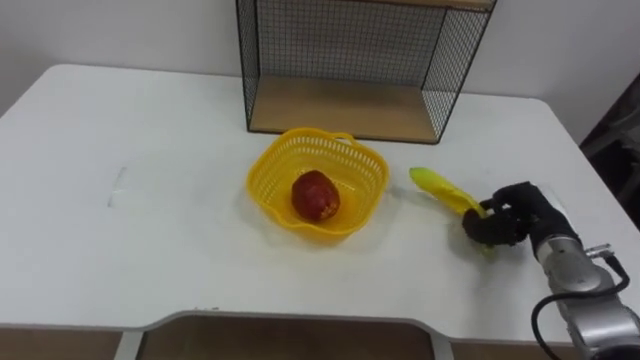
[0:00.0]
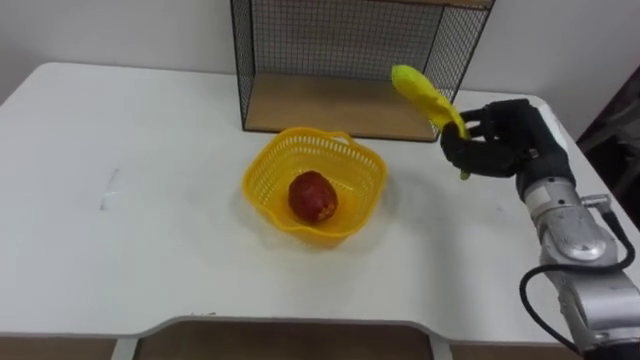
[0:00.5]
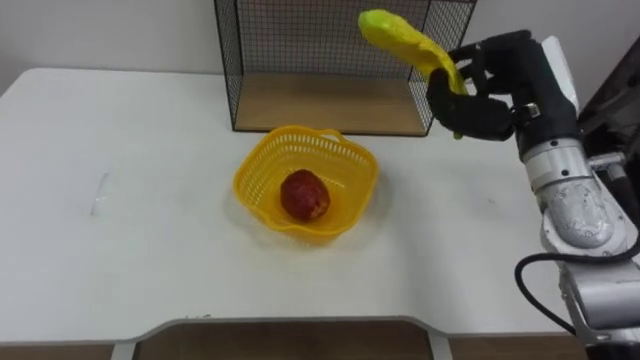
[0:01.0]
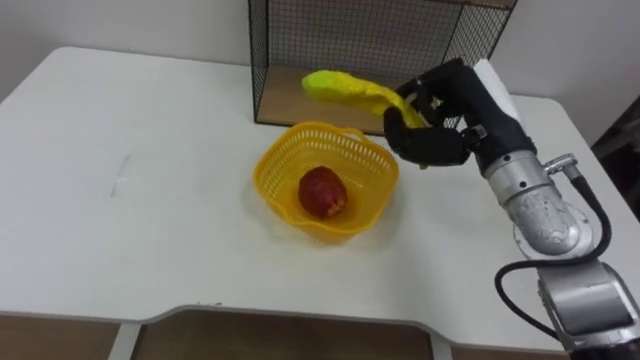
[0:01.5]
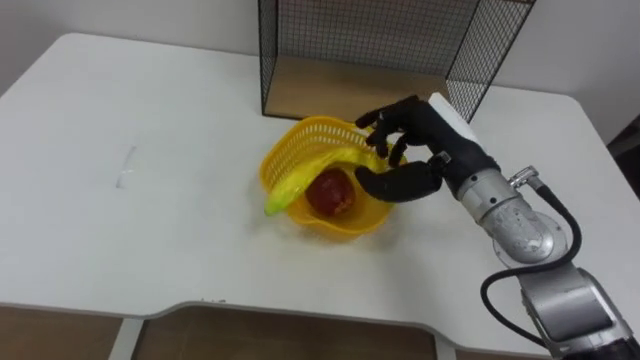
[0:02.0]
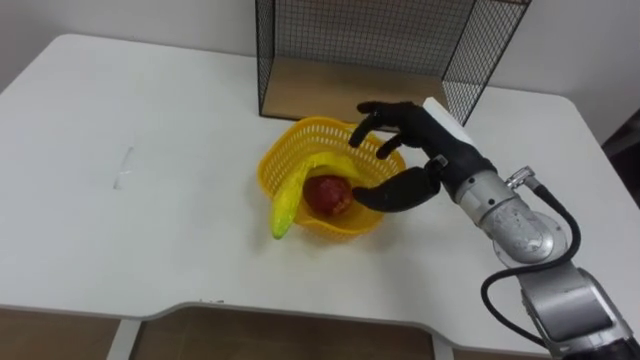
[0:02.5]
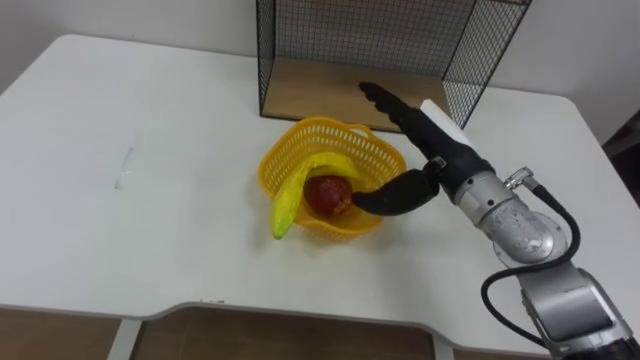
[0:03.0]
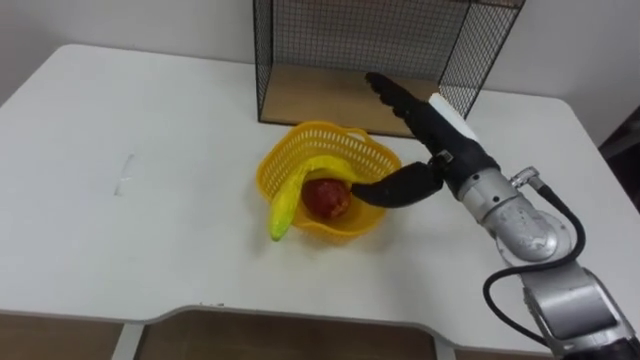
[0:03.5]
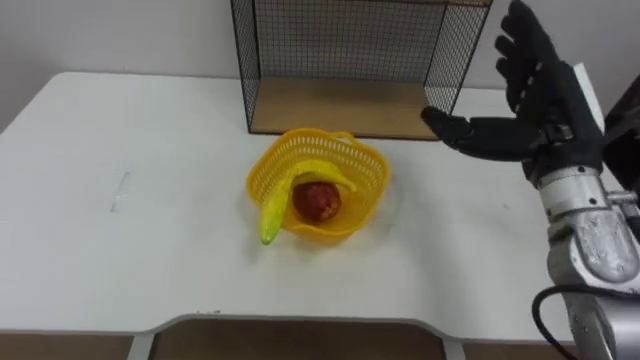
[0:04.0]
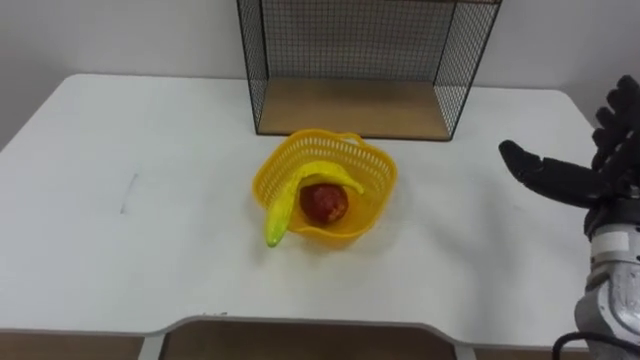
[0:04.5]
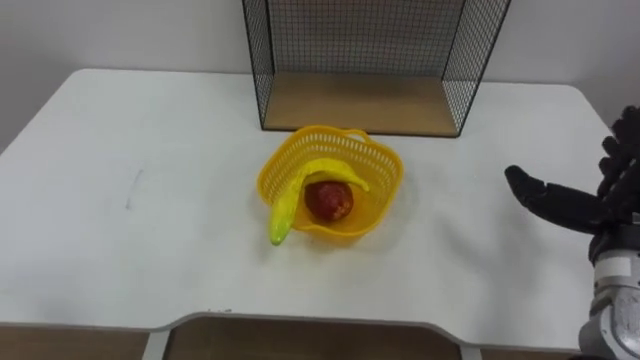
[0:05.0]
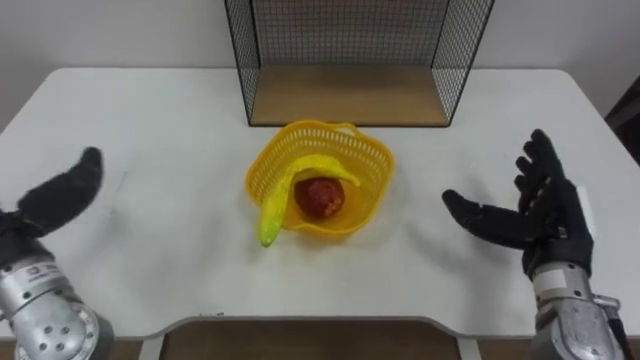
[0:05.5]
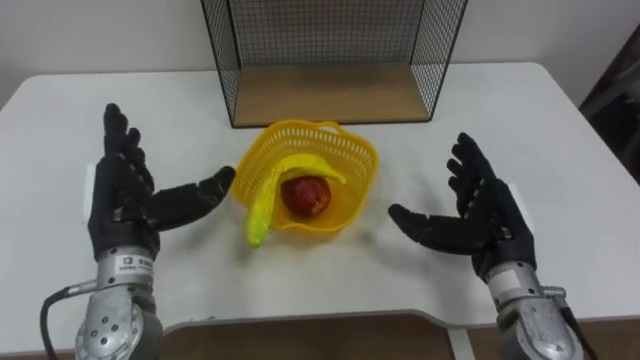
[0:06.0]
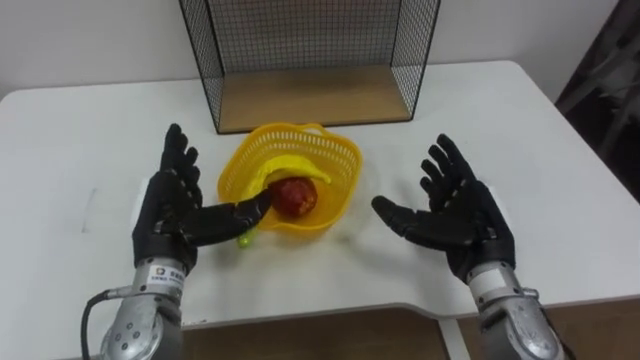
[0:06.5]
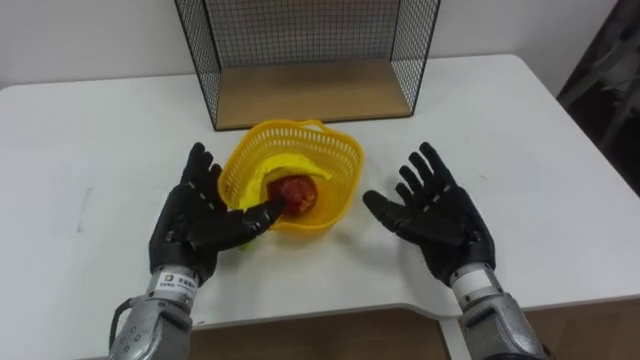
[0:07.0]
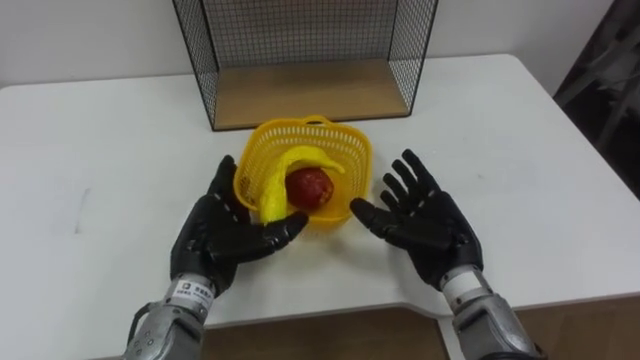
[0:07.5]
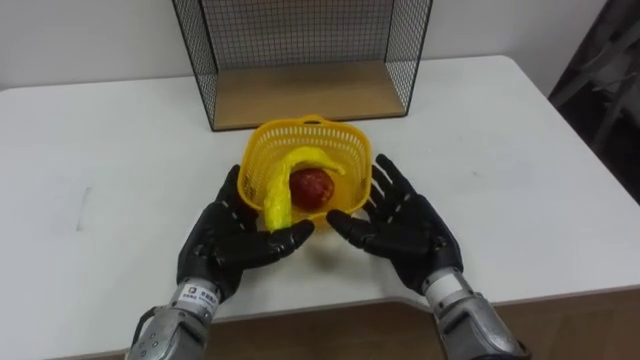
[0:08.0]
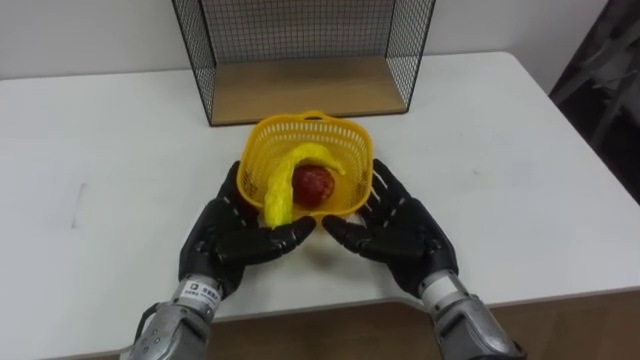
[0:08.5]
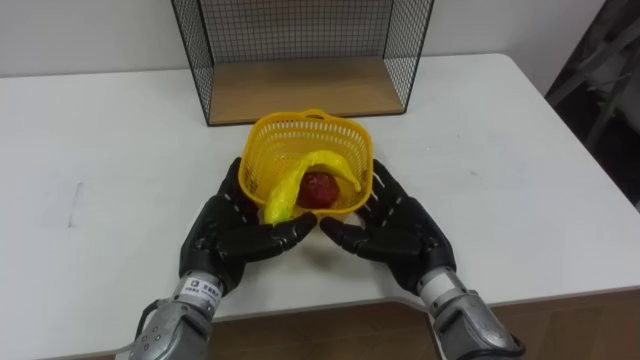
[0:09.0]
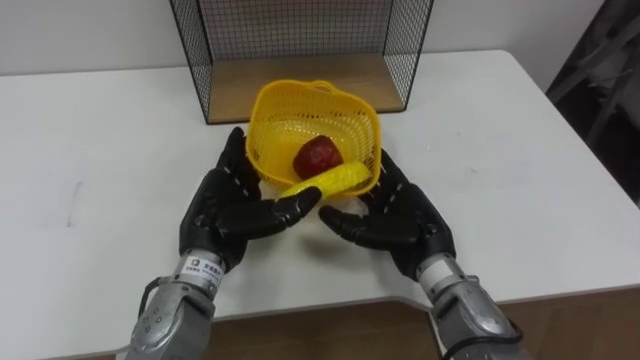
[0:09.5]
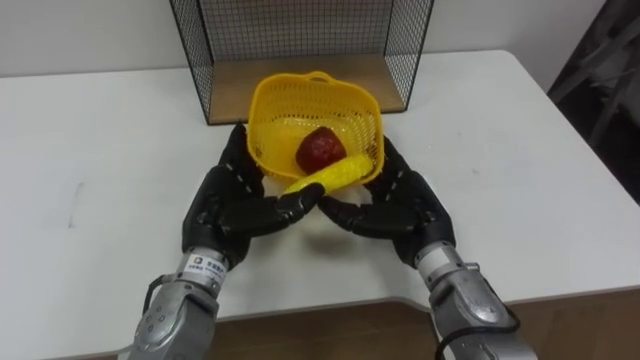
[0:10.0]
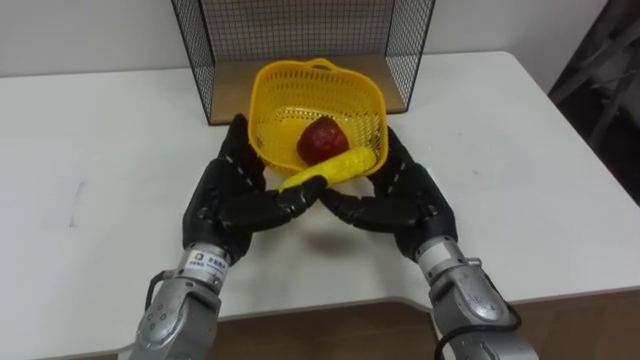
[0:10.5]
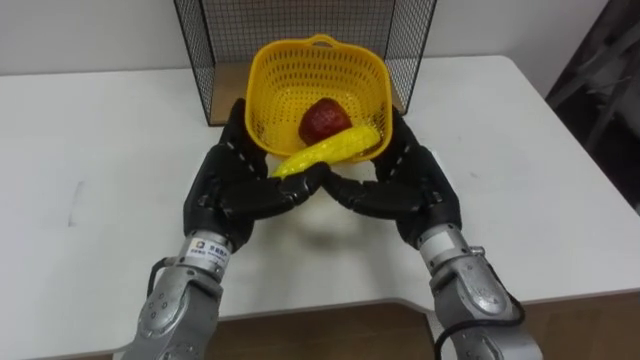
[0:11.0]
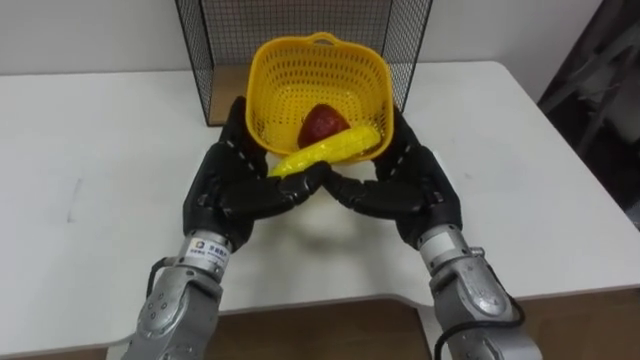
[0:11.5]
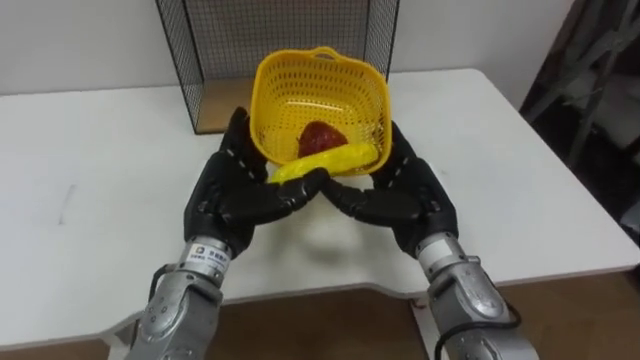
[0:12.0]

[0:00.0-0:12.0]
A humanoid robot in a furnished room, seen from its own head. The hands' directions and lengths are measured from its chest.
Task of the whole recording: Put the fruit on the table into the basket, then place the basket on the shelf.
0:00.0 to 0:02.0: The right hand shifts some 20 cm to the left and upward.
0:02.0 to 0:04.0: The right hand is displaced to the right by some 10 cm, and opens its fingers.
0:06.0 to 0:08.0: The right hand goes about 10 cm to the left. Meanwhile the left hand is displaced to the right and downward by some 10 cm.
0:08.0 to 0:10.0: The left hand changes place by roughly 5 cm.

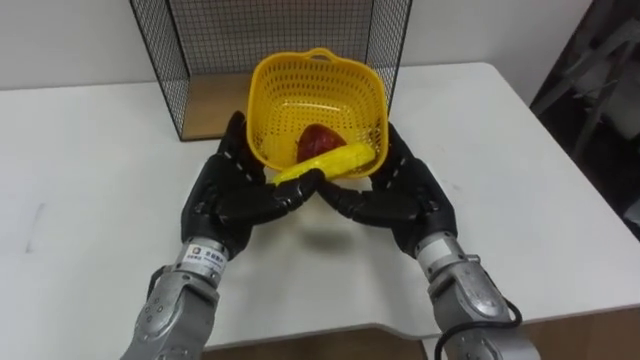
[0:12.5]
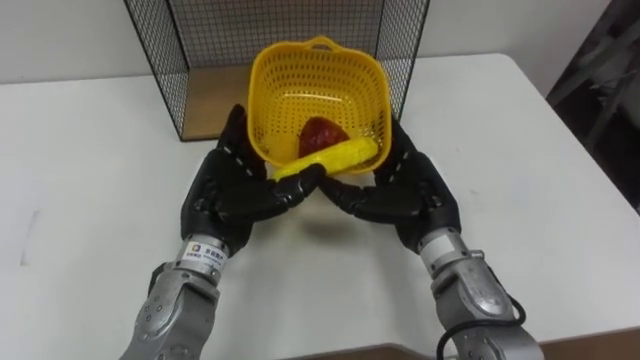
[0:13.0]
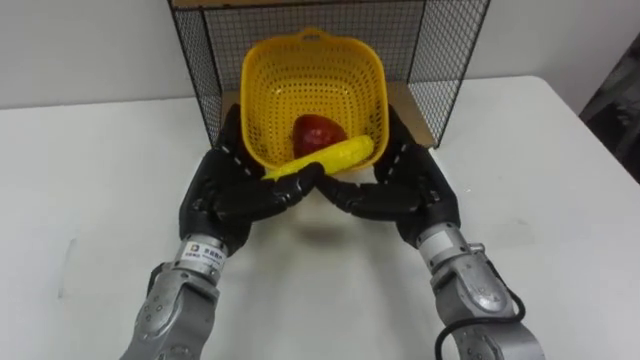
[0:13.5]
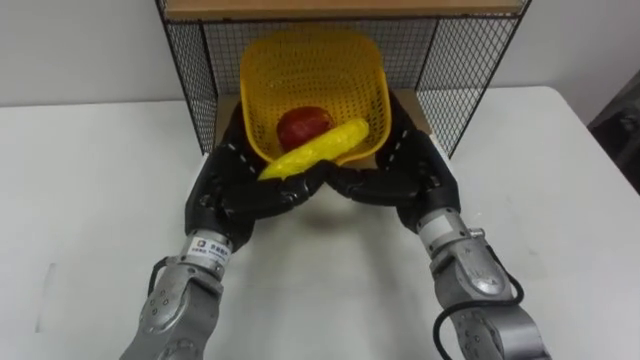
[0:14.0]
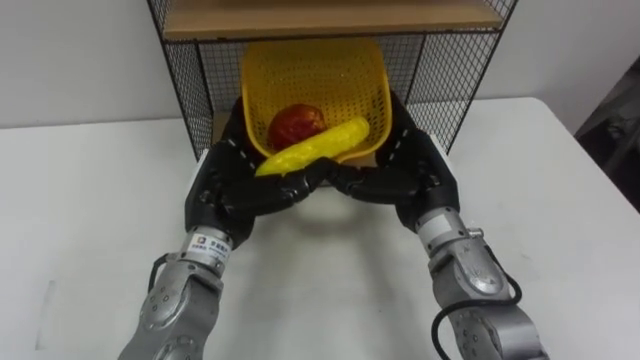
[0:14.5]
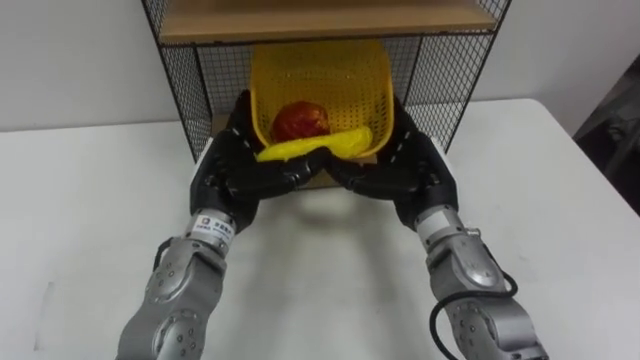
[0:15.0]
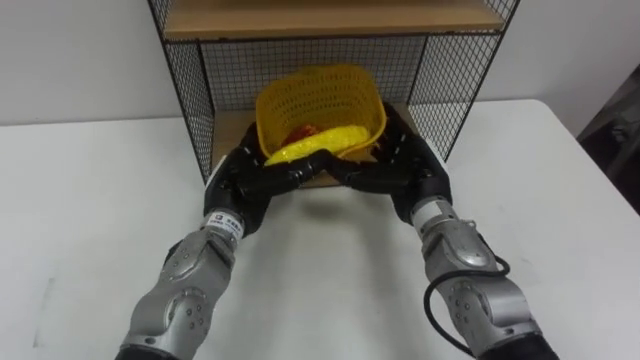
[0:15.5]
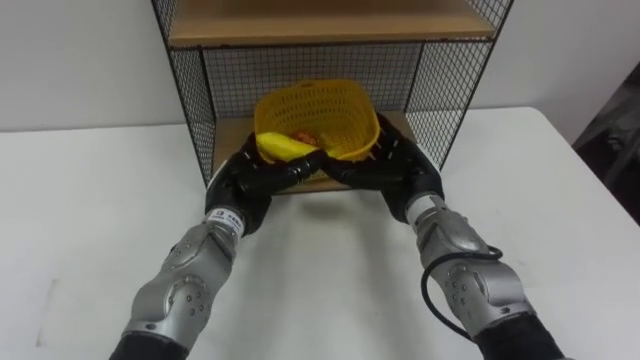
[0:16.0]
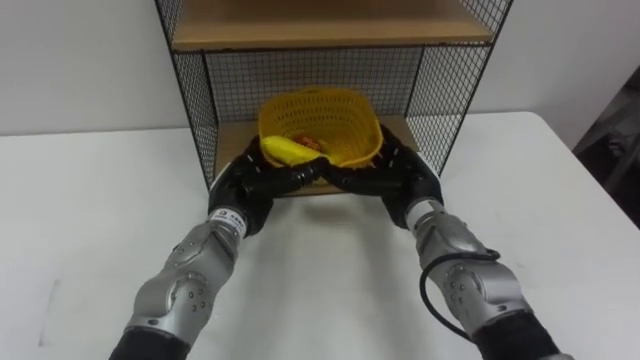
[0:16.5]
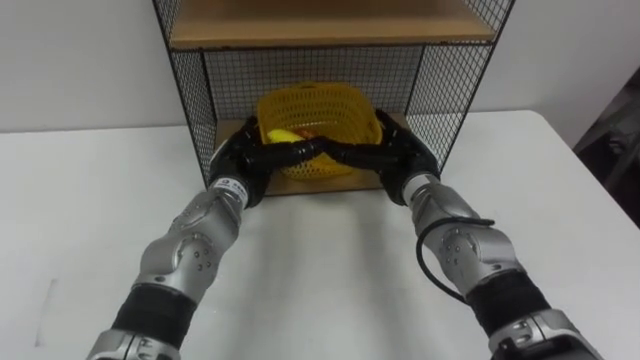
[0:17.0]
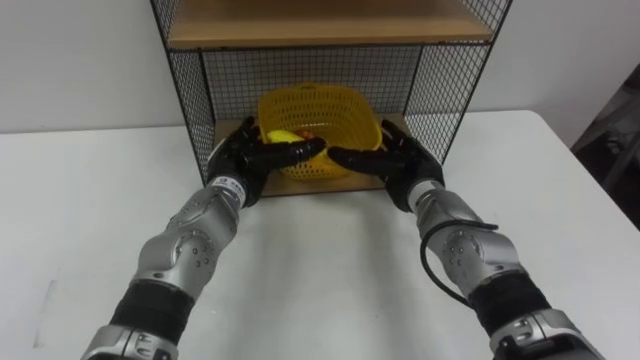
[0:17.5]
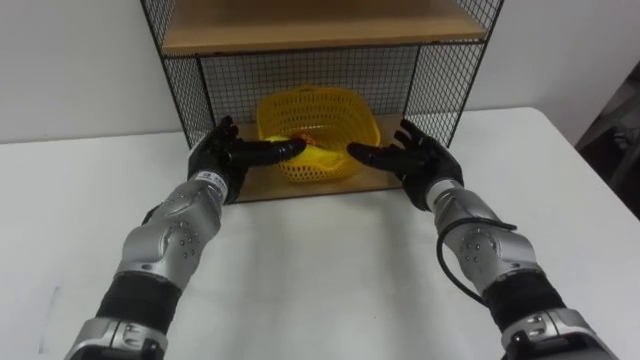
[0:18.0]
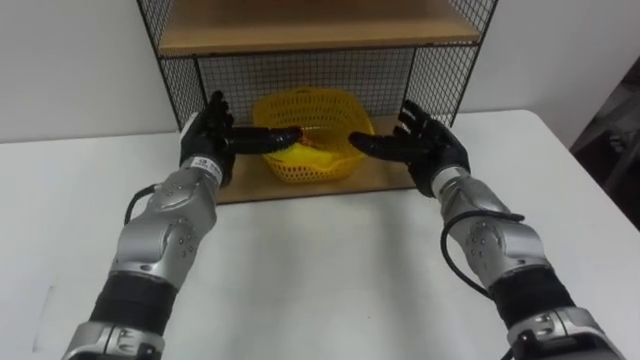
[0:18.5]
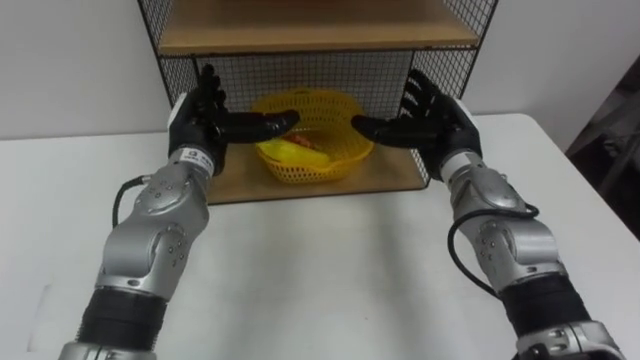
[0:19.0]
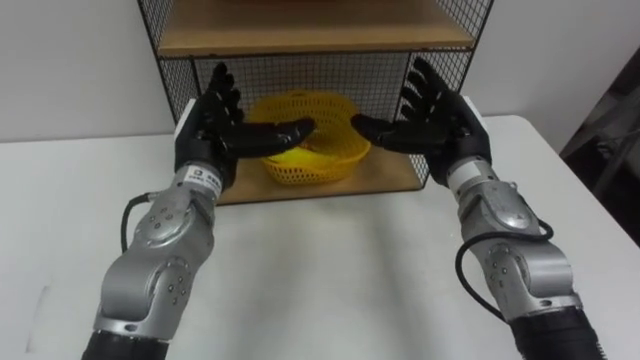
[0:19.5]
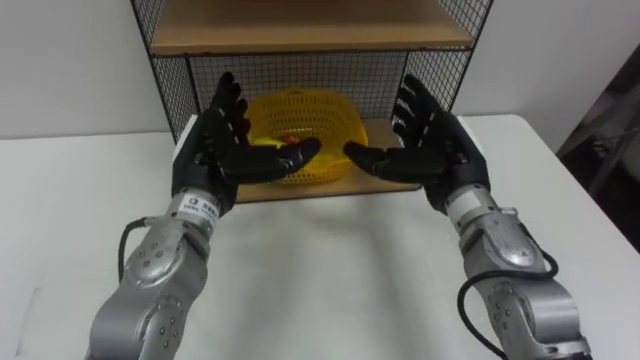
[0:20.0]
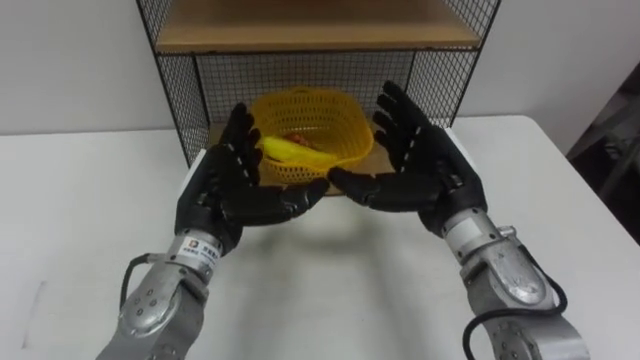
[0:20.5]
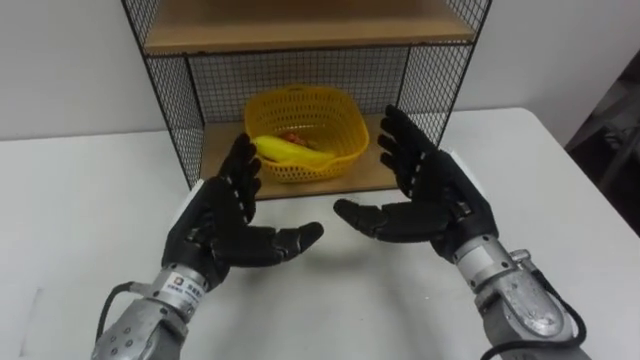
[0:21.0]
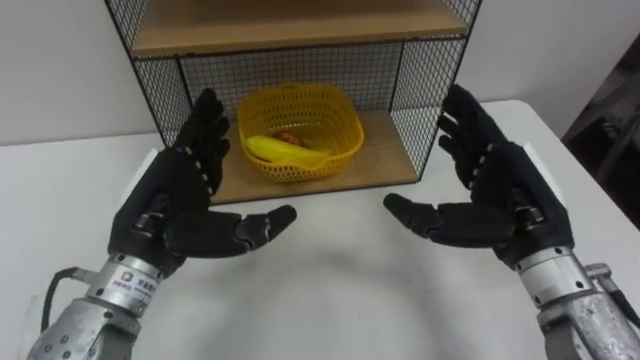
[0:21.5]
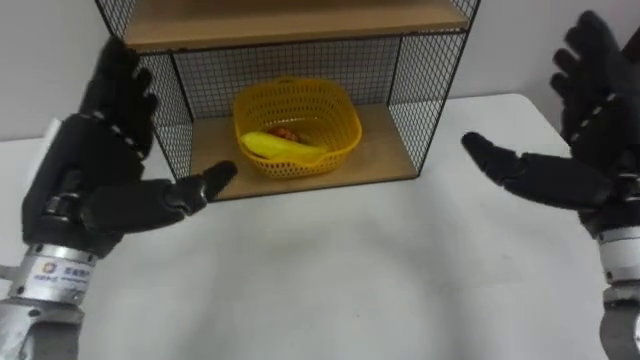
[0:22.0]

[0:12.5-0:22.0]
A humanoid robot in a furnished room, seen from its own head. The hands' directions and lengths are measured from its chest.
Task of the whole recording: Put the fruit on the table into the basket, then place the basket on the shelf.
0:14.5 to 0:16.5: Both hands travel together downward, some 5 cm.
0:16.5 to 0:18.0: The left hand shifts by some 5 cm.
0:18.0 to 0:20.0: The right hand is displaced upward by roughly 10 cm. The left hand goes roughly 10 cm upward and backward.
0:20.0 to 0:22.0: The left hand travels to the left, backward and upward by approximately 15 cm; the right hand is displaced to the right, backward and upward by approximately 15 cm.
